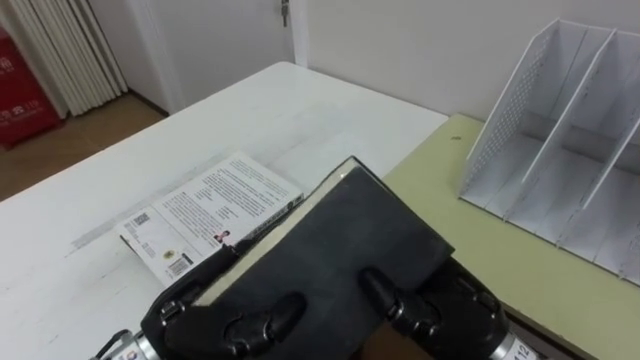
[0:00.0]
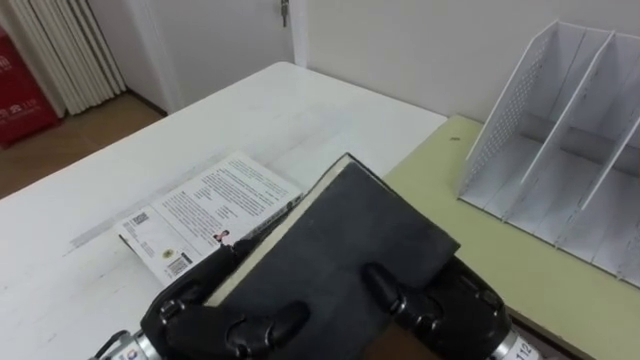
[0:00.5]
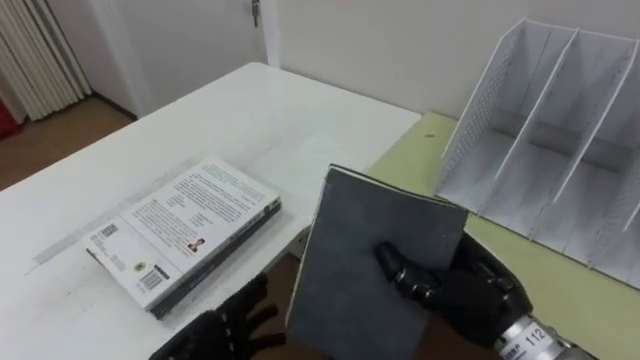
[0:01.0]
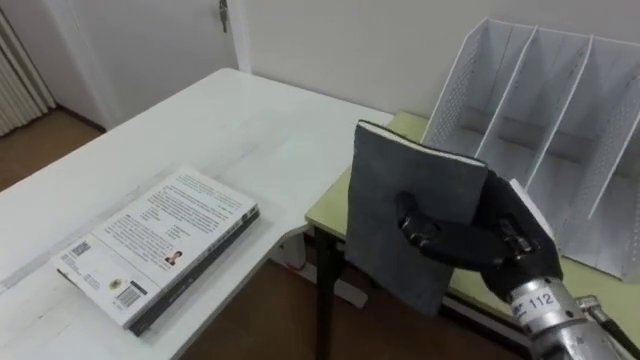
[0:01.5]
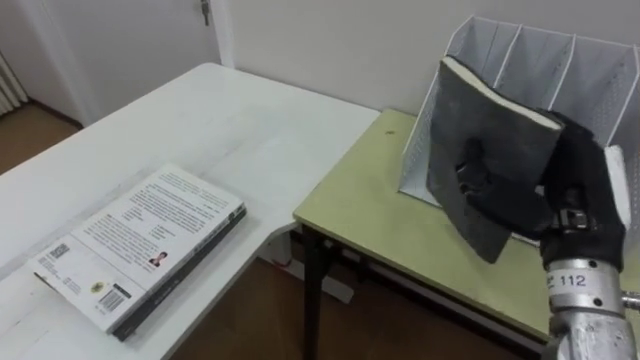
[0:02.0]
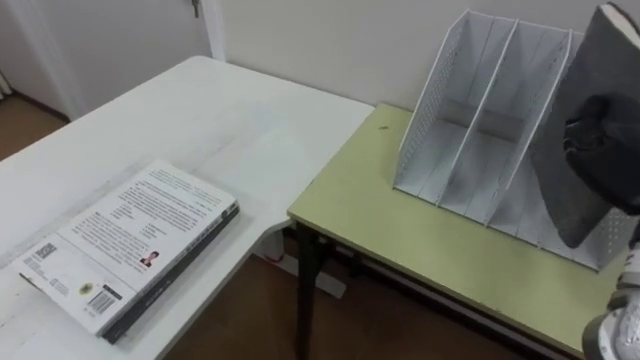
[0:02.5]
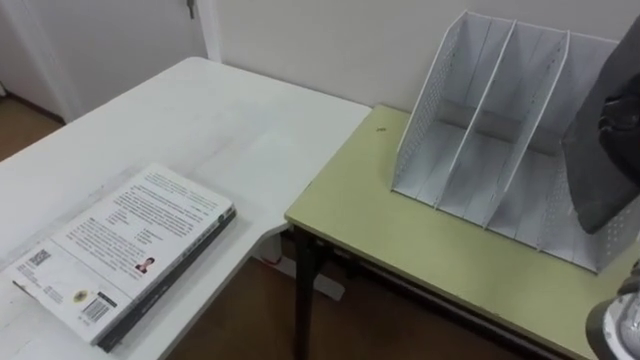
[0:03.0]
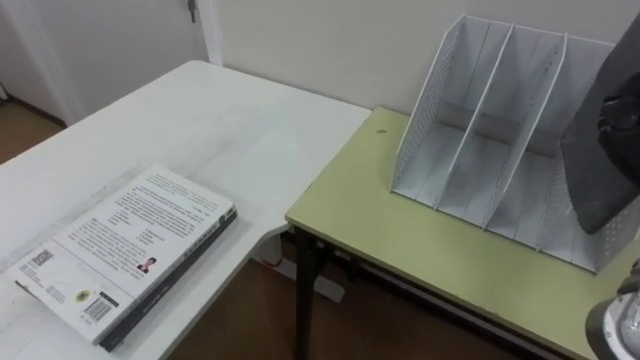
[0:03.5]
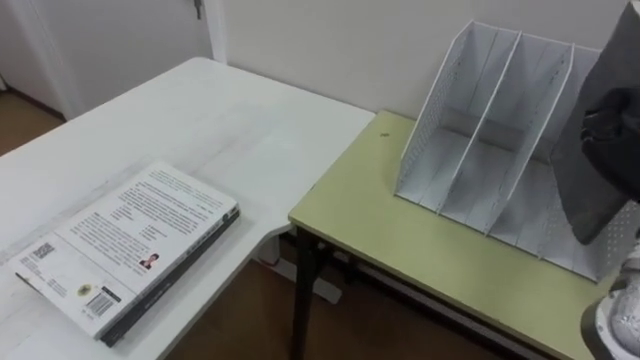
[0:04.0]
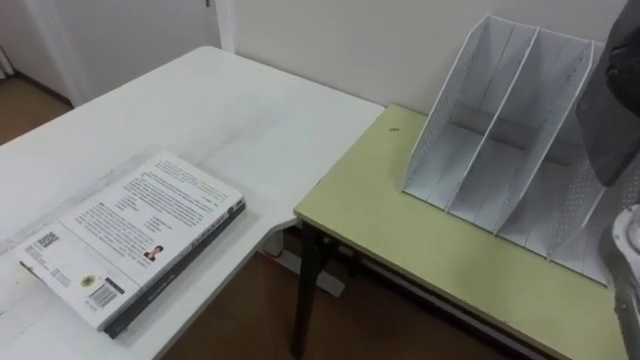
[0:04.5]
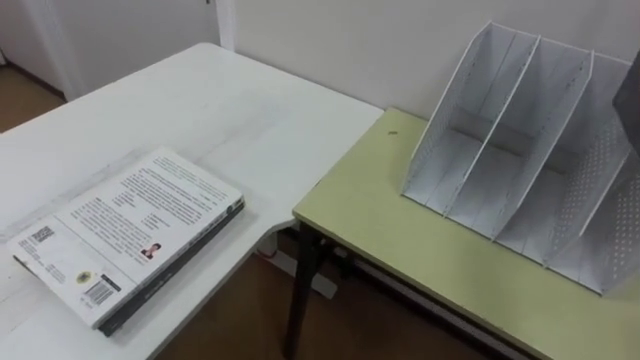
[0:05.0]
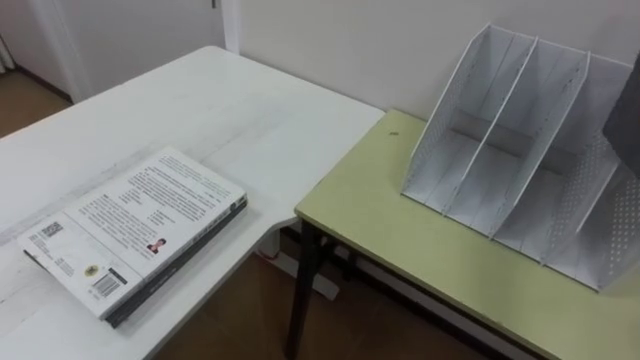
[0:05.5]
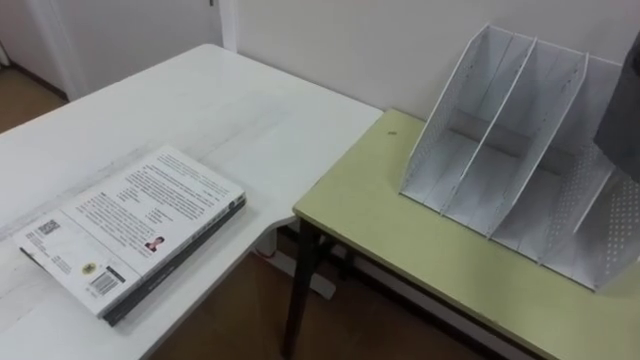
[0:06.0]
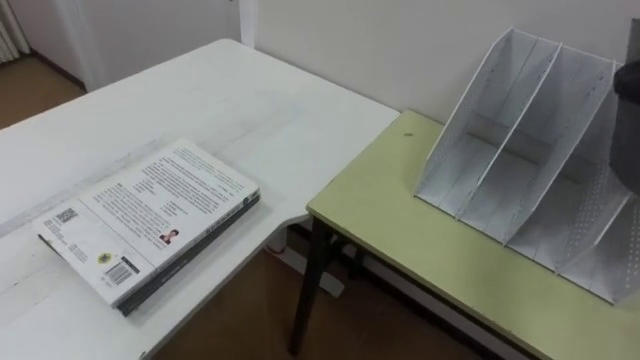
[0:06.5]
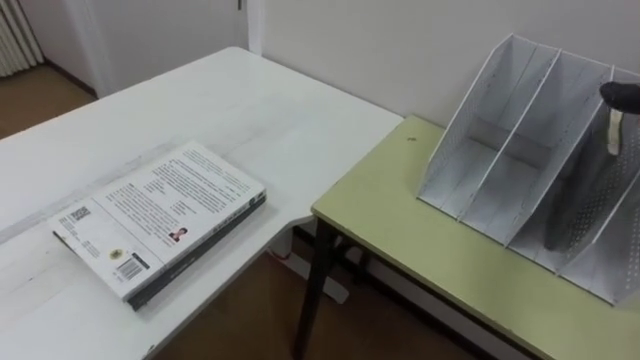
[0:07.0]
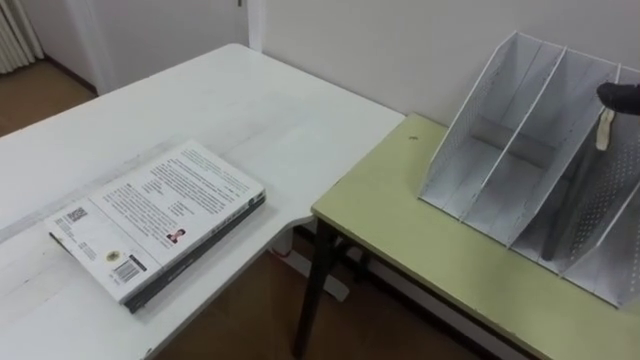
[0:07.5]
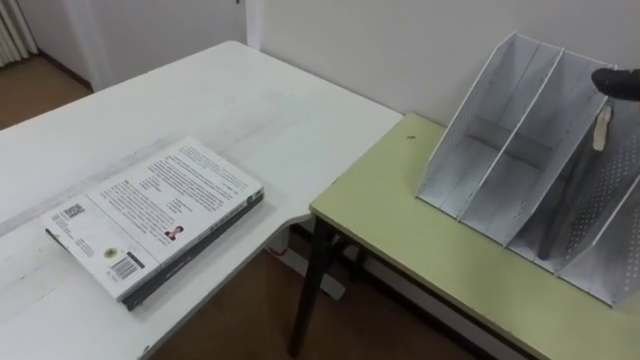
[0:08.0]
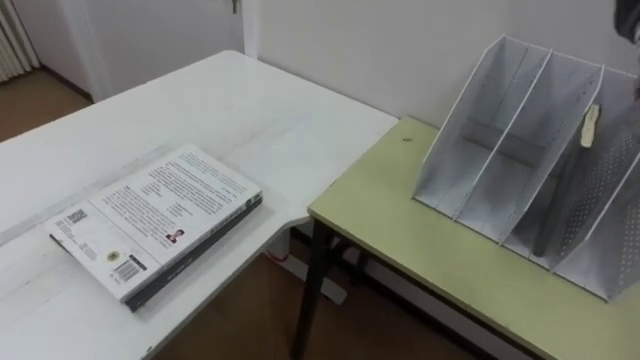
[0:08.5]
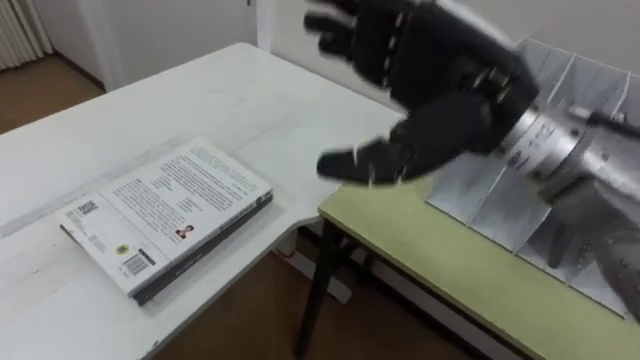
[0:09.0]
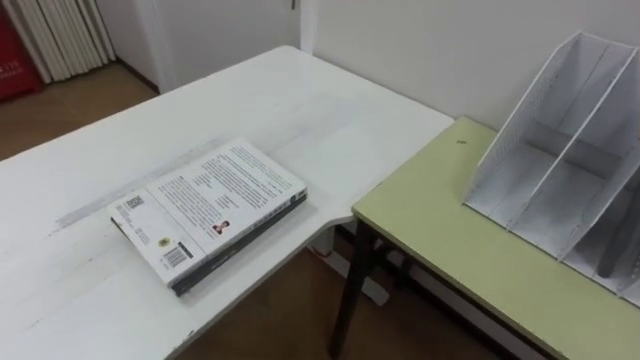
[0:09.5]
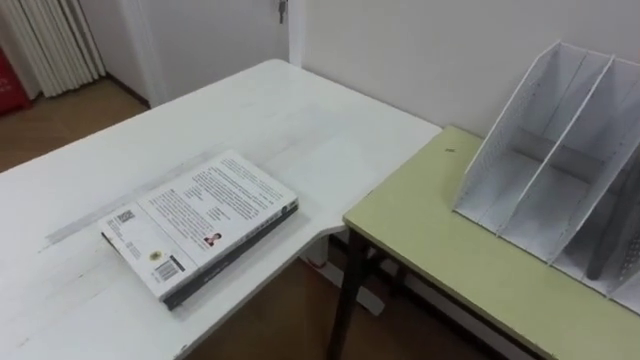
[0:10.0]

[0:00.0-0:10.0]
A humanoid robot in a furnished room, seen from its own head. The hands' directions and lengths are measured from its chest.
Task of the whole recording: Put the books on the table onto the bookshelf.
0:00.0 to 0:02.0: The right hand heads to the right and upward, covering some 15 cm.

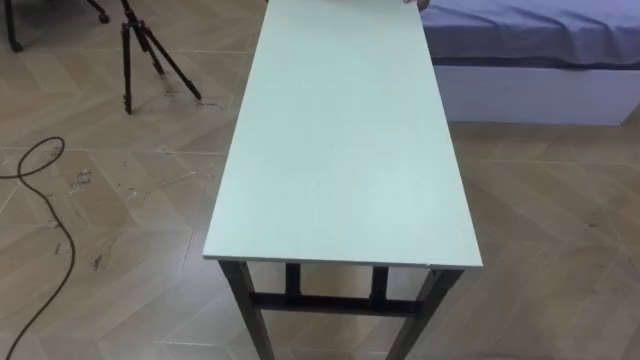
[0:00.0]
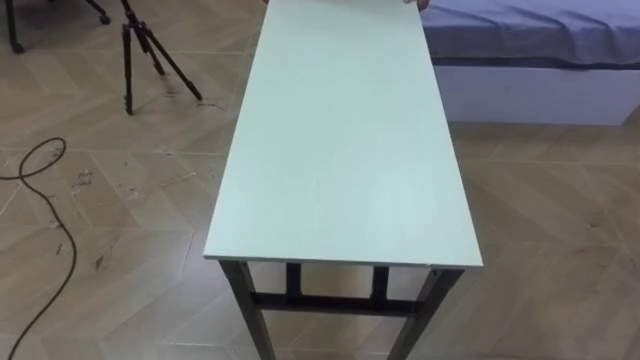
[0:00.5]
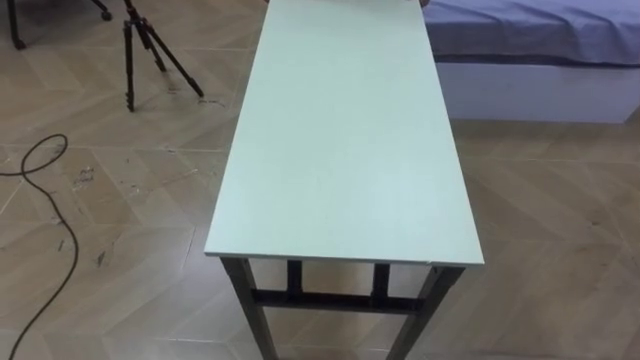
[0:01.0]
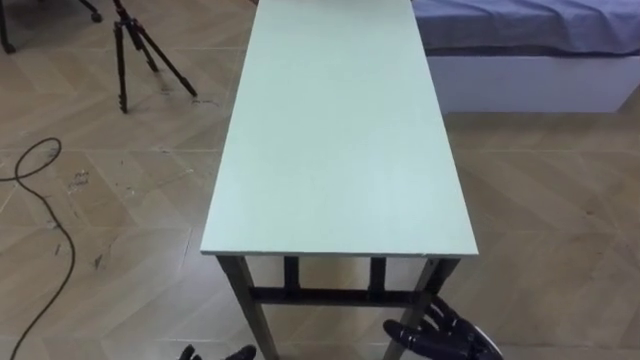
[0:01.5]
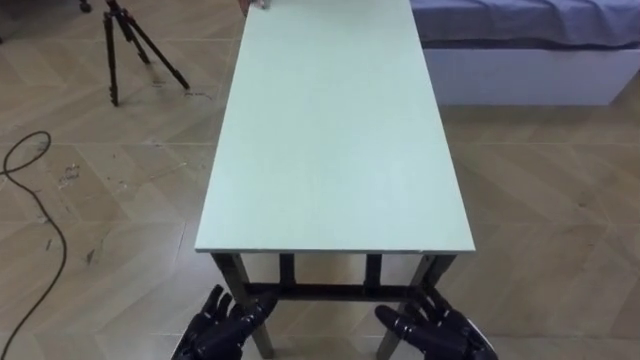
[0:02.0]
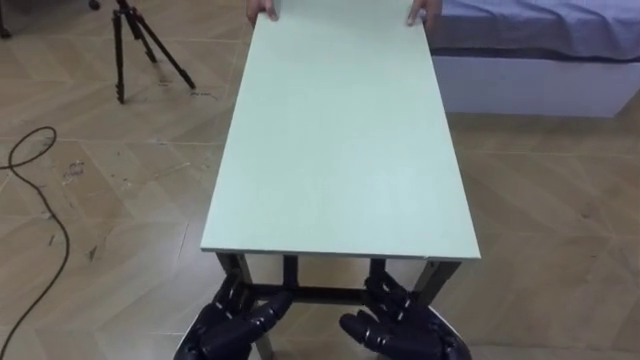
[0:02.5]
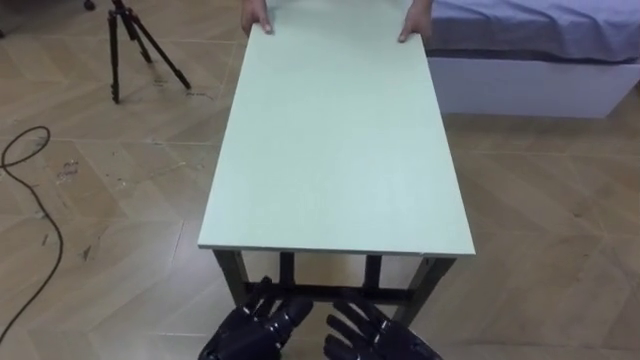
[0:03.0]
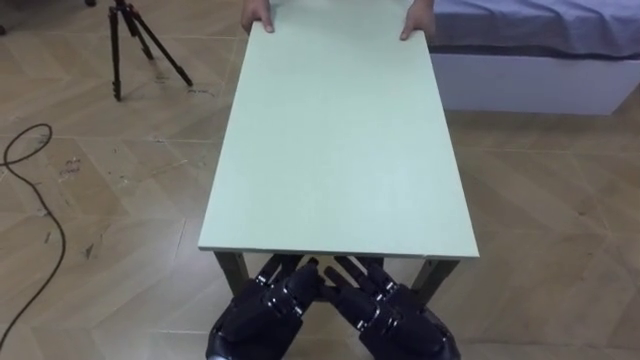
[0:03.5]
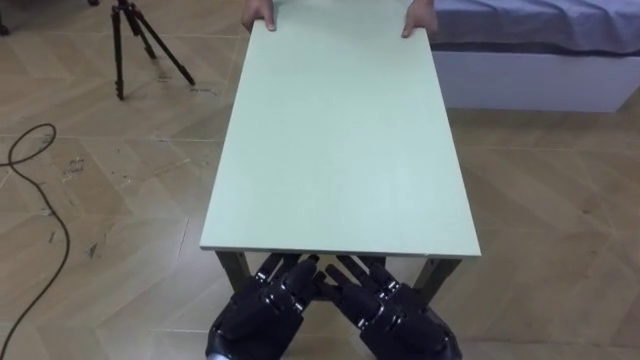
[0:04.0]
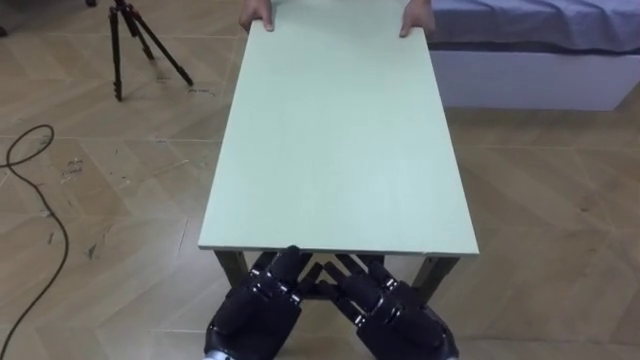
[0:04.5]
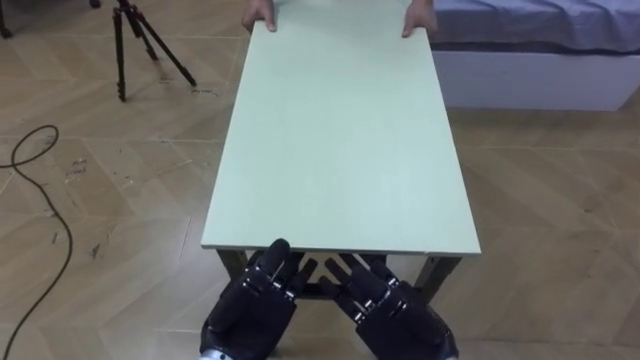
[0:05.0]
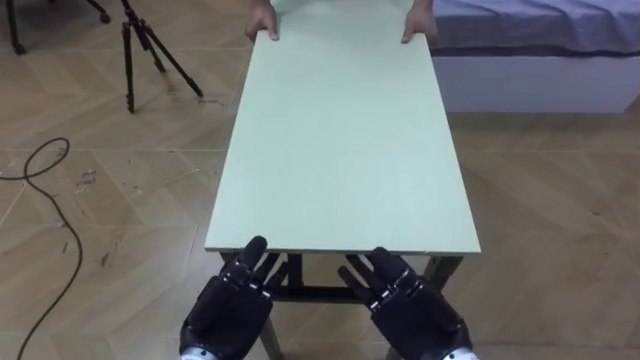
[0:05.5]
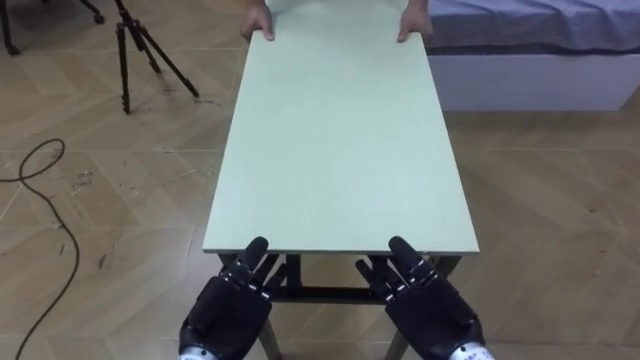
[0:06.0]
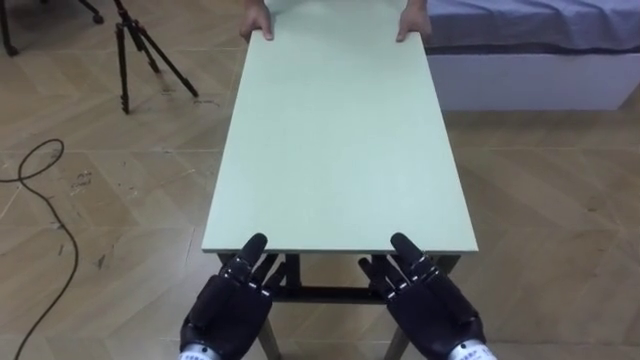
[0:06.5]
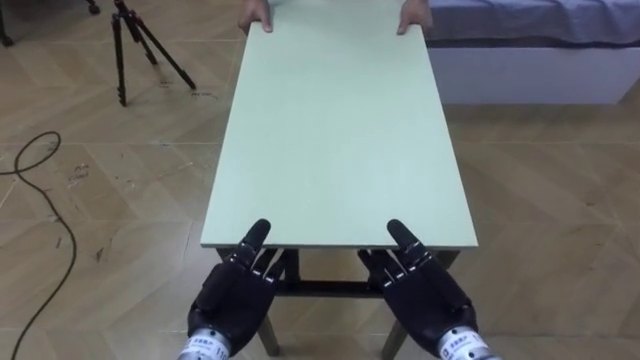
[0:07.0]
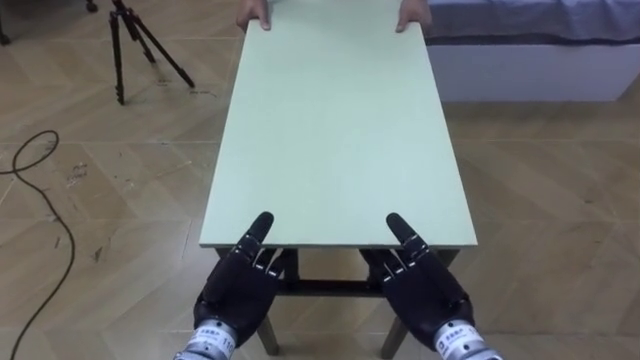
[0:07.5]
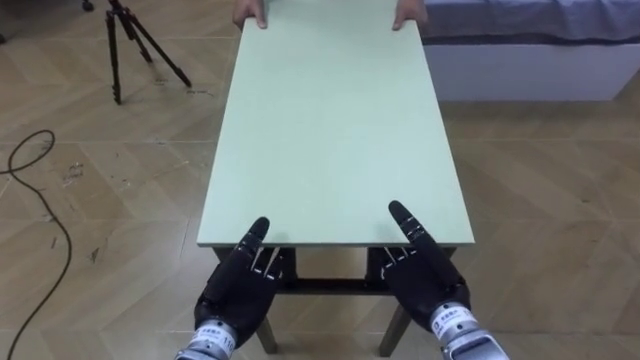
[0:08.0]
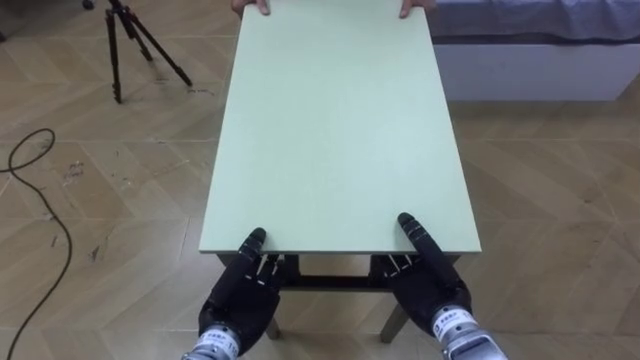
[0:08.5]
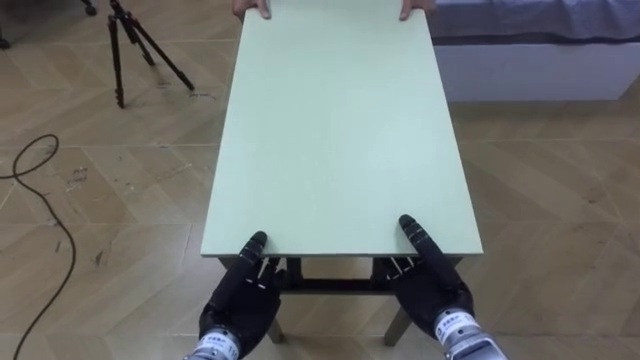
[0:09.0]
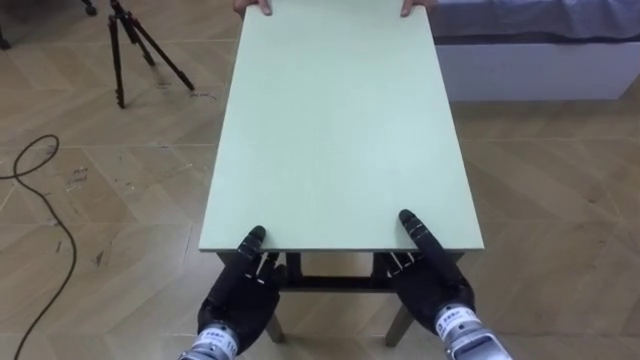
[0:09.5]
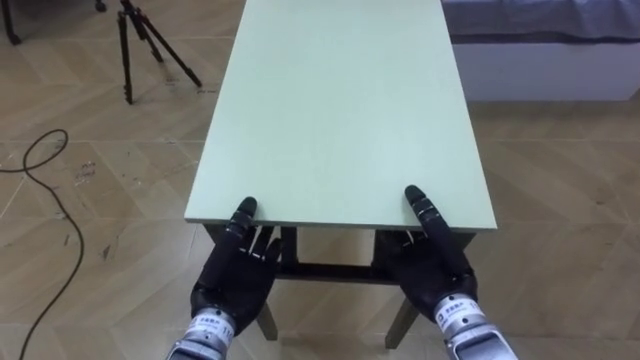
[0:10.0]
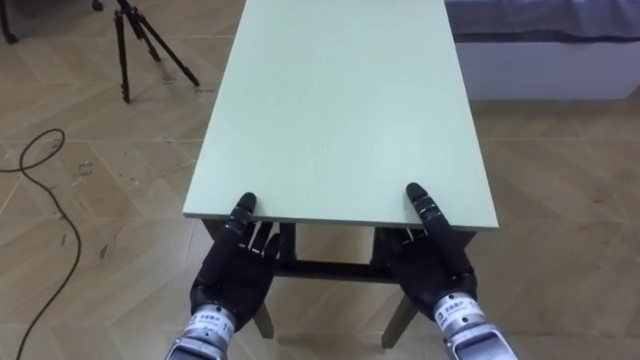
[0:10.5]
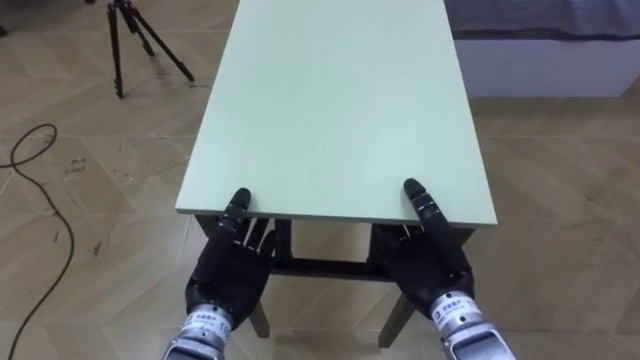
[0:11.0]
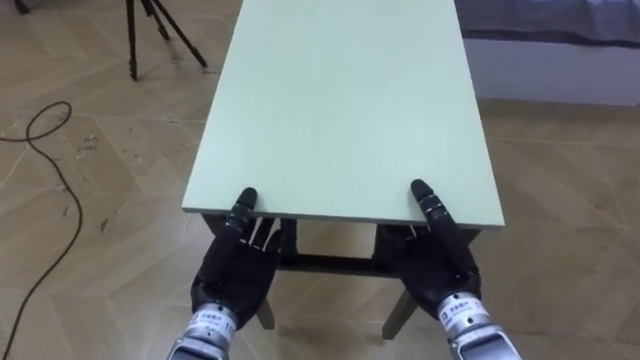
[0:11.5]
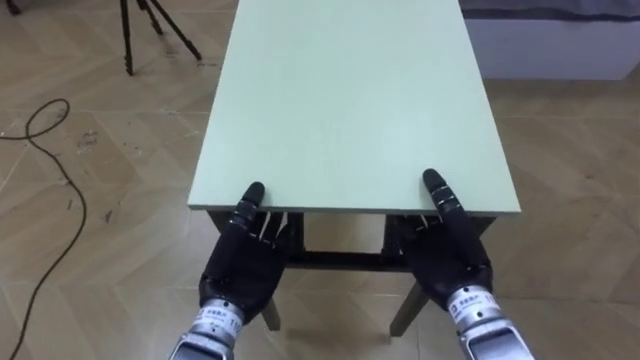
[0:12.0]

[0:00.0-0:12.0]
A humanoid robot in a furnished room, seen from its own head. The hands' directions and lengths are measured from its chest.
Task of the whole recording: Move the table to the back left with someone.
0:02.0 to 0:04.0: The left hand shifts about 10 cm upward and to the right; the right hand goes roughly 10 cm upward and to the left.
0:06.0 to 0:08.0: There are only small adjustments of the hands.
0:08.0 to 0:10.0: The left hand closes. The right hand closes its fingers.
